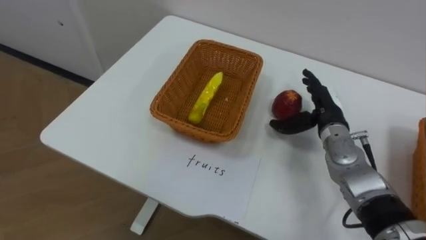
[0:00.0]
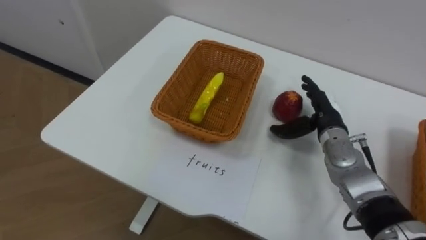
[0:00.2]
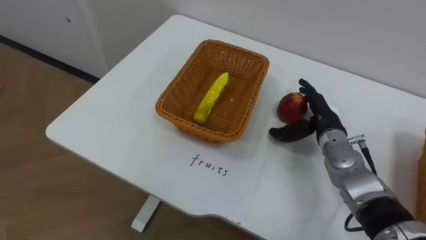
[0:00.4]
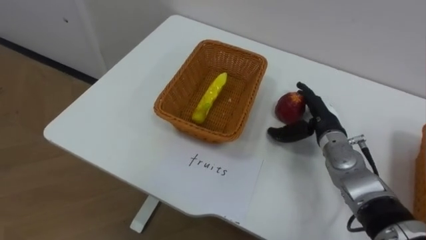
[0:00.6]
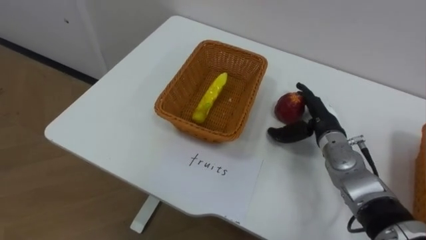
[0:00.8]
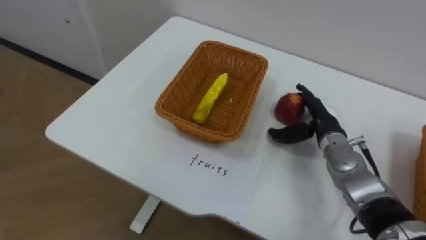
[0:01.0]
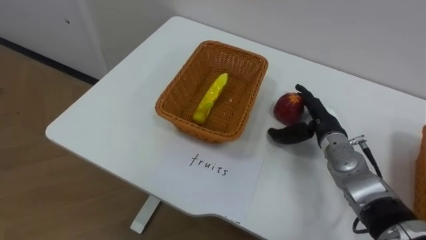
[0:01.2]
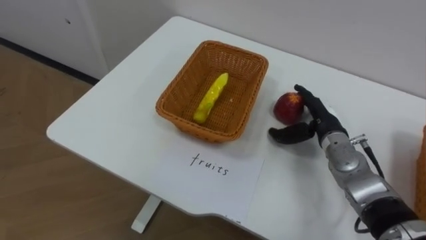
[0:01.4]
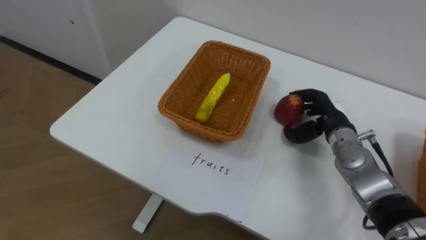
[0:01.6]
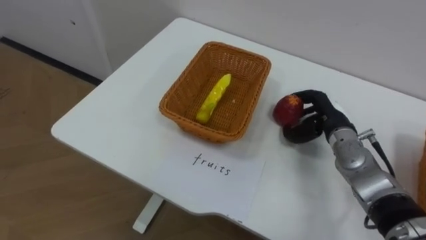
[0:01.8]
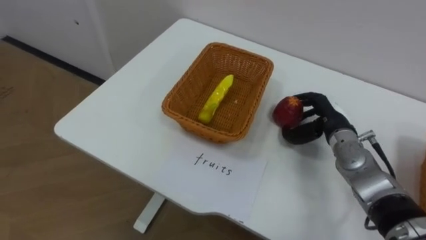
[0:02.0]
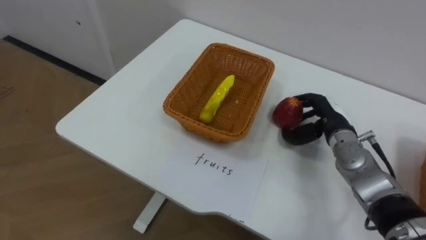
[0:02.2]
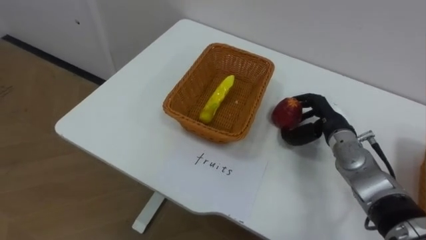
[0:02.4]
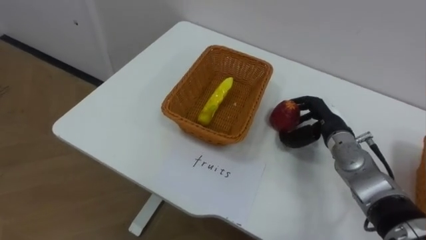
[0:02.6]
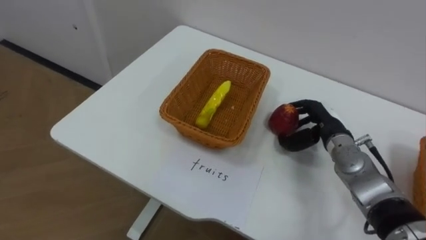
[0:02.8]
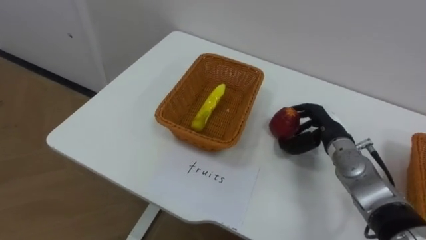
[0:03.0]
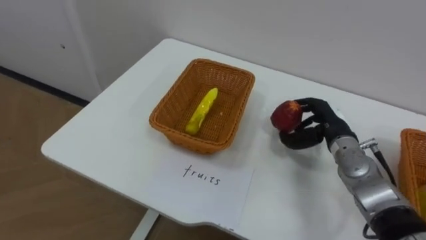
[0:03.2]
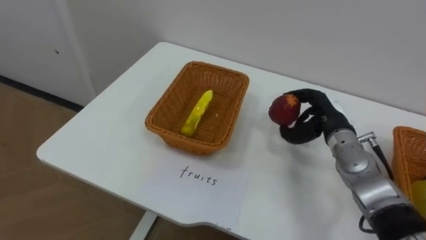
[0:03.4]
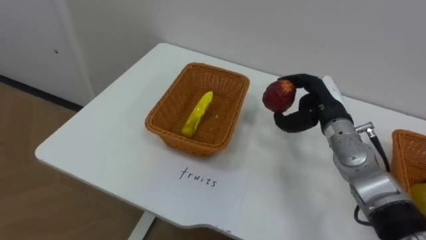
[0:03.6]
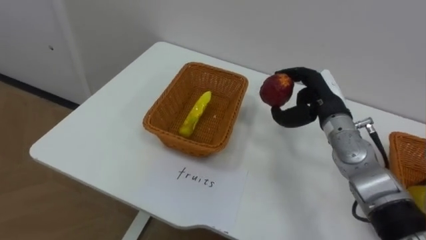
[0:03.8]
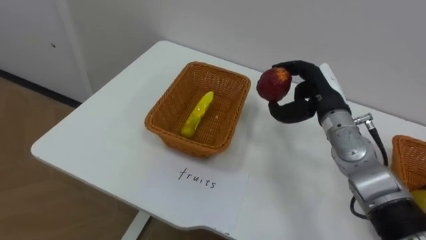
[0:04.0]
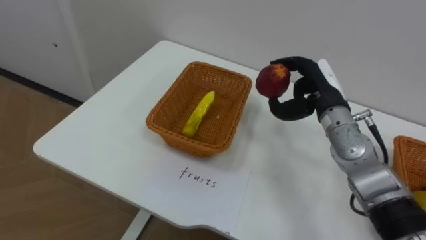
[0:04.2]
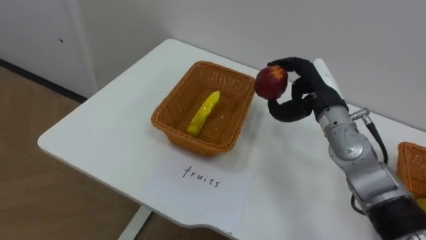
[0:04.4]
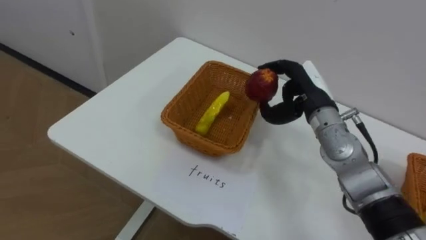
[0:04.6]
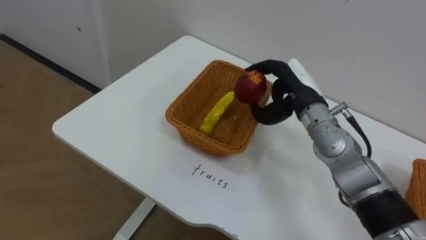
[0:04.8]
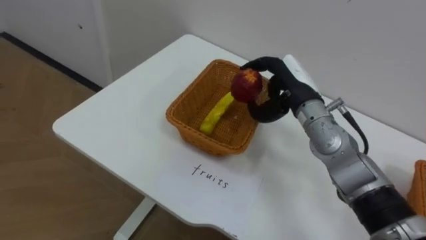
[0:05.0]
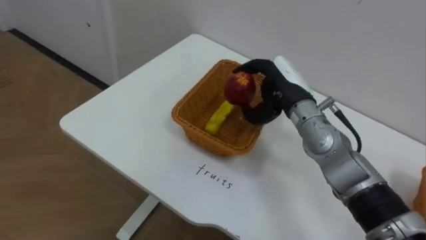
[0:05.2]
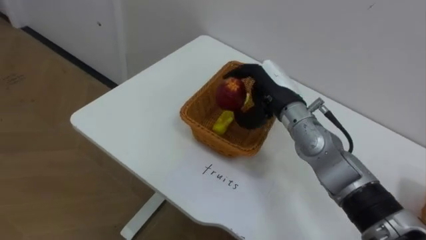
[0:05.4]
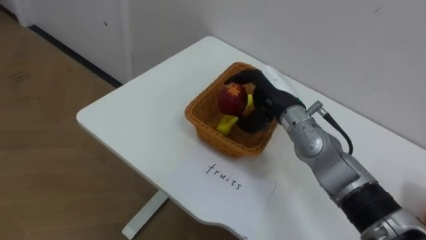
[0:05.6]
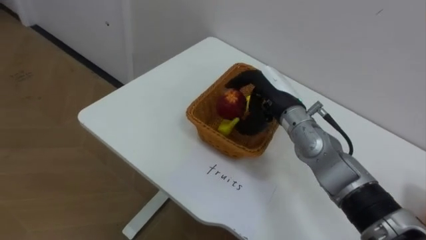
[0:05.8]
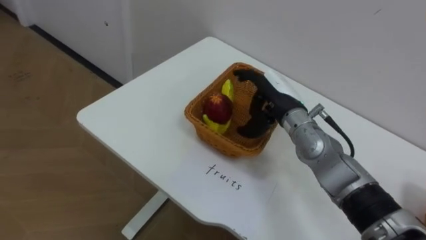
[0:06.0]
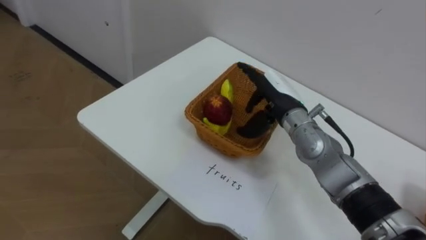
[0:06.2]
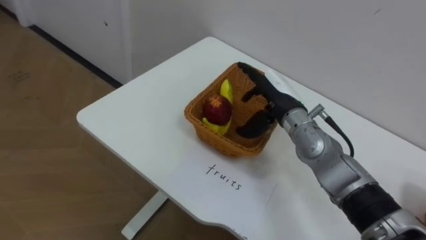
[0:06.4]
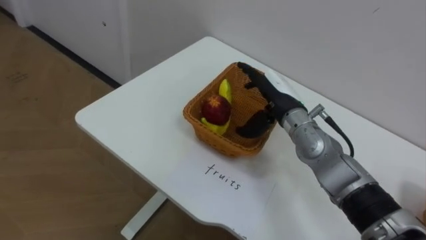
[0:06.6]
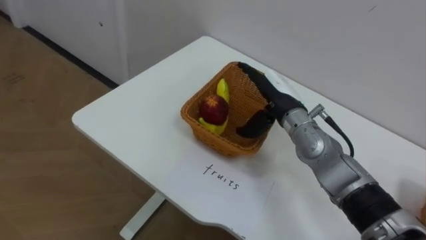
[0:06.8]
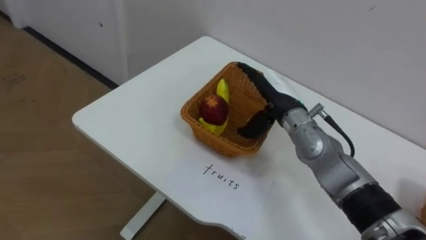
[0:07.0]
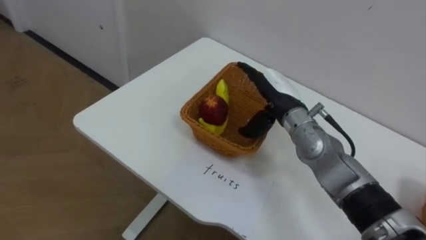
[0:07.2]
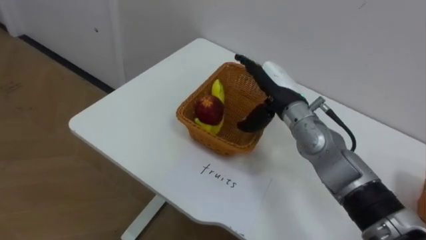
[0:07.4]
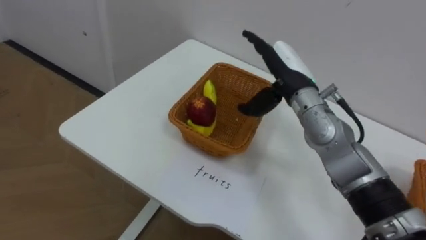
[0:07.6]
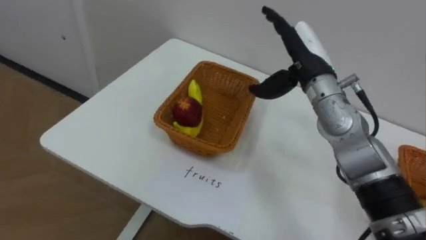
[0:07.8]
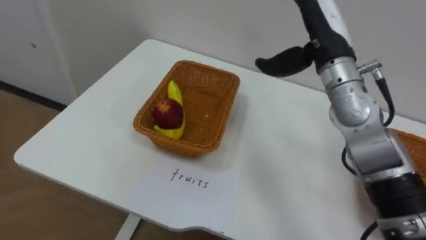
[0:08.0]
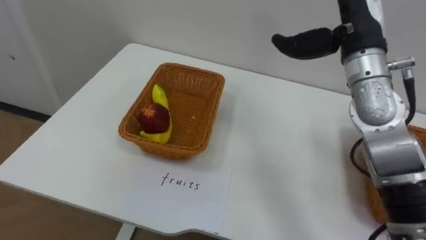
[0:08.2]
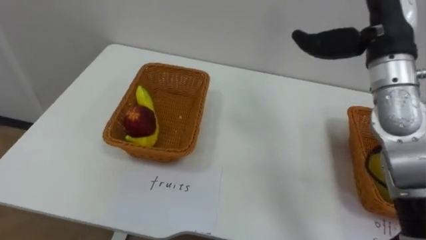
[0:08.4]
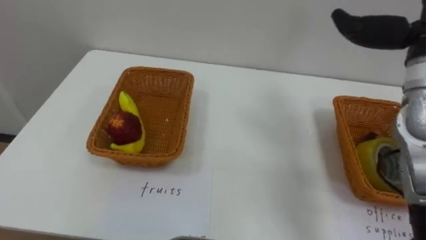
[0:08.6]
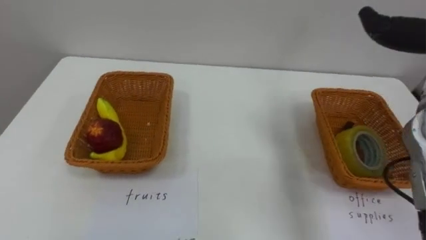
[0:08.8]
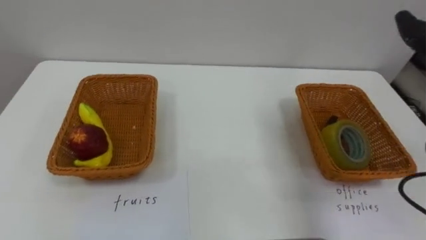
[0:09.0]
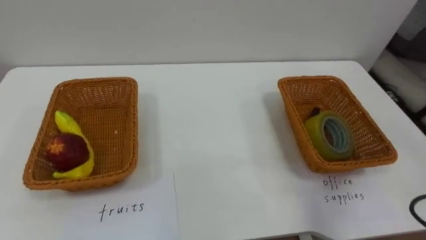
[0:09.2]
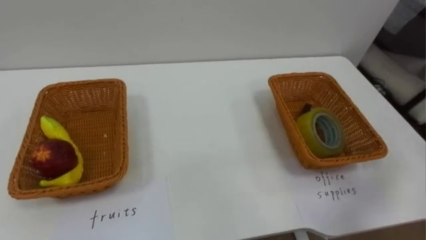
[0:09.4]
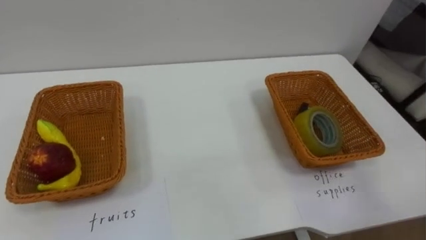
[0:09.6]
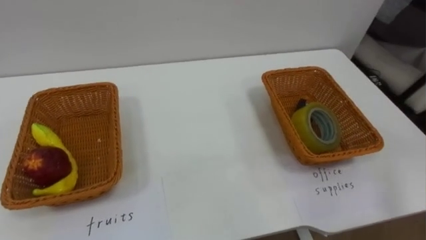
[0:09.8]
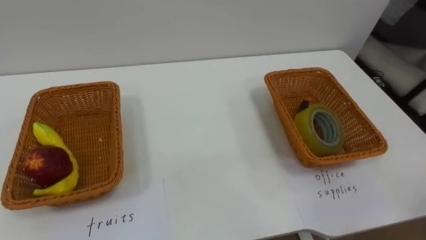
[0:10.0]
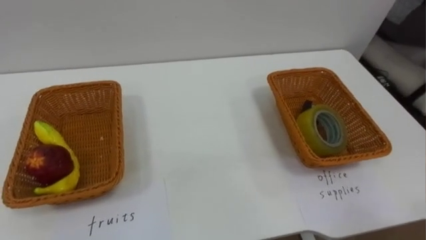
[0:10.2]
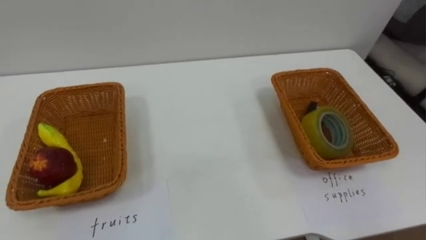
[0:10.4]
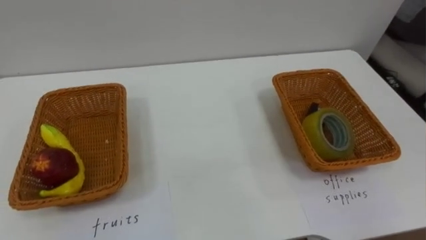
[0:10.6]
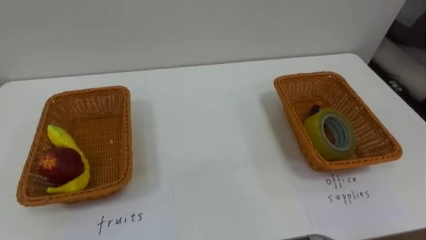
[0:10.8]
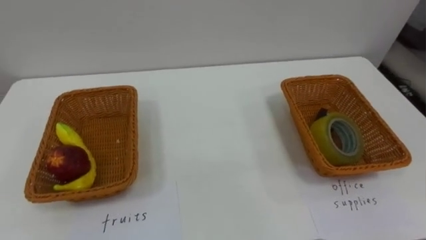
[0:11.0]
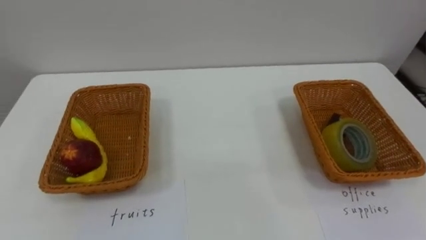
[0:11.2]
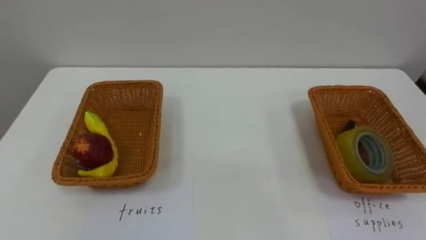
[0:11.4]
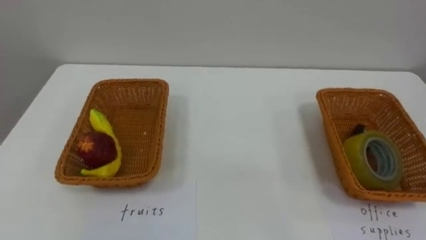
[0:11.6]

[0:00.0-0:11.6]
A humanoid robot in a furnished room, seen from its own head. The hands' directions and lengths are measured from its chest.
Task of the whole recording: Separate the items on the table and place them into the two baskets.
0:01.4 to 0:02.8: The right hand closes.
0:02.8 to 0:04.4: The right hand goes about 10 cm upward.
0:04.4 to 0:05.8: The right hand goes some 10 cm to the left.
0:05.8 to 0:07.2: The right hand opens.

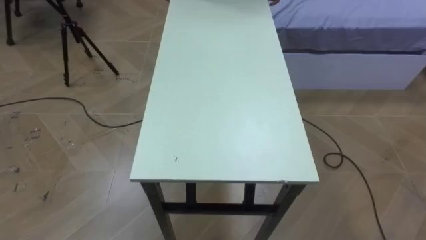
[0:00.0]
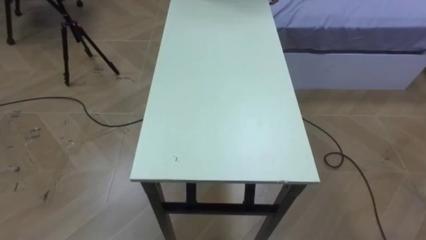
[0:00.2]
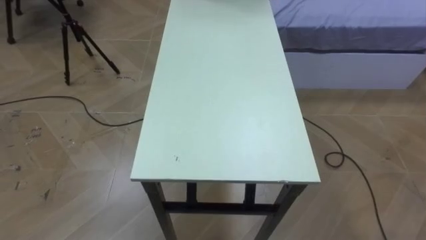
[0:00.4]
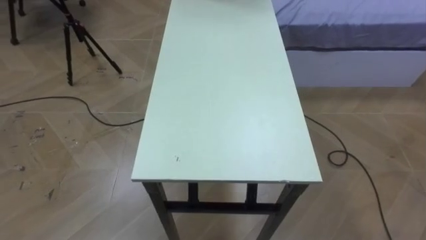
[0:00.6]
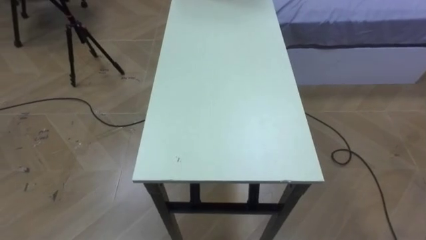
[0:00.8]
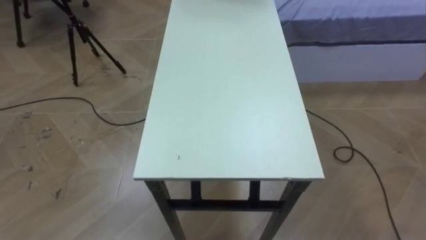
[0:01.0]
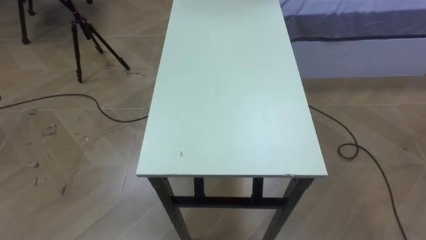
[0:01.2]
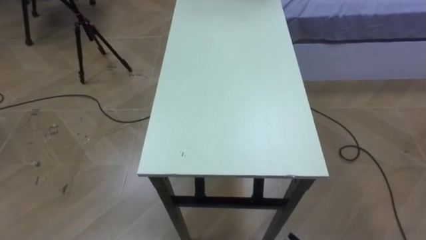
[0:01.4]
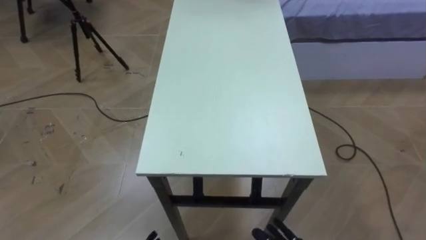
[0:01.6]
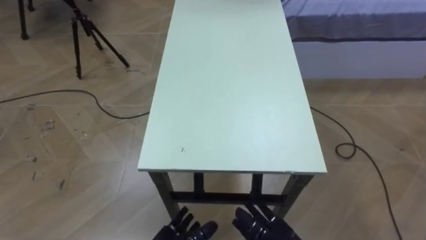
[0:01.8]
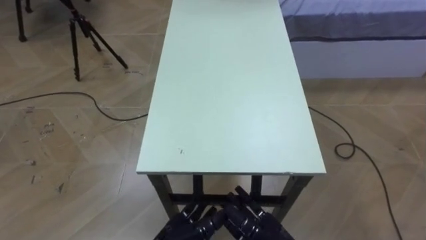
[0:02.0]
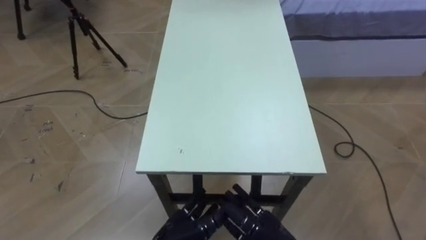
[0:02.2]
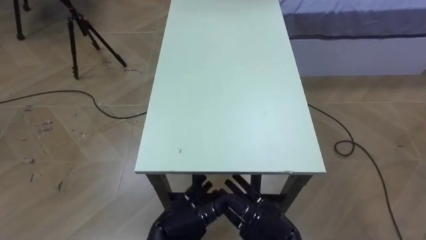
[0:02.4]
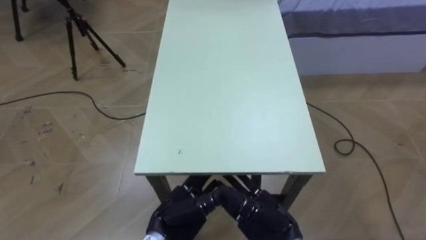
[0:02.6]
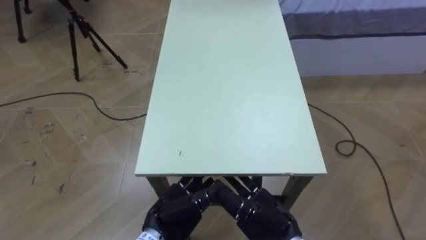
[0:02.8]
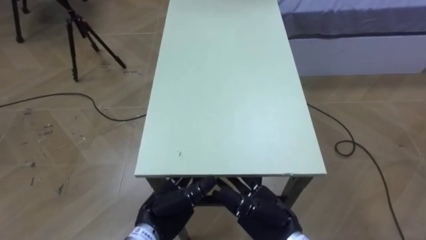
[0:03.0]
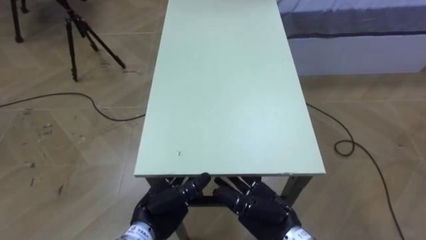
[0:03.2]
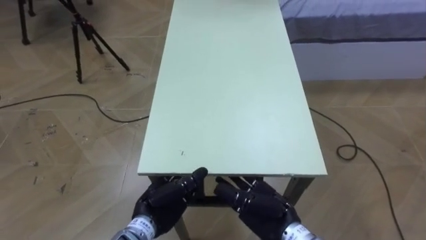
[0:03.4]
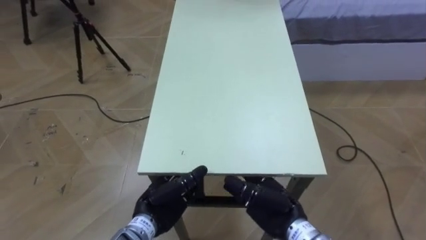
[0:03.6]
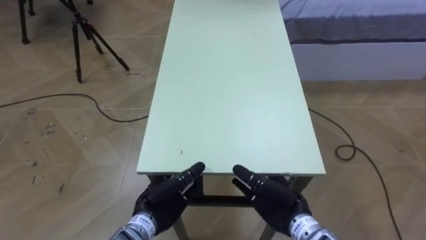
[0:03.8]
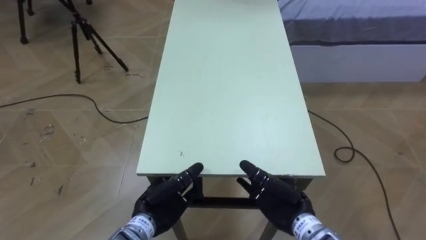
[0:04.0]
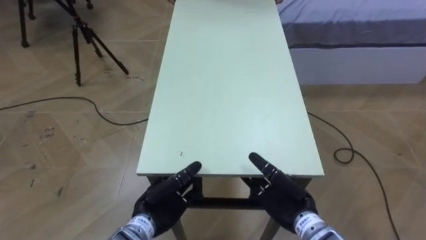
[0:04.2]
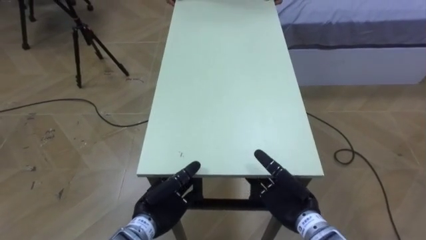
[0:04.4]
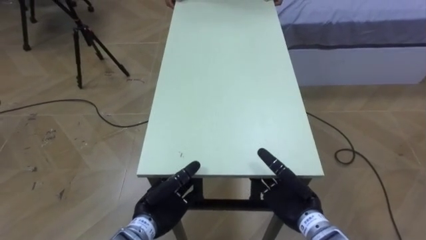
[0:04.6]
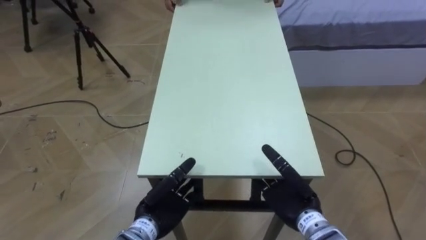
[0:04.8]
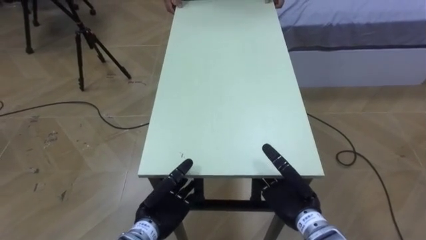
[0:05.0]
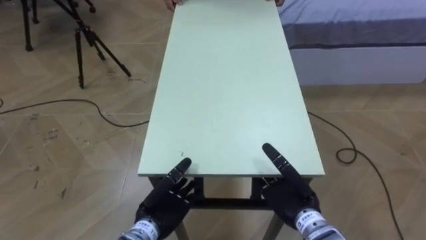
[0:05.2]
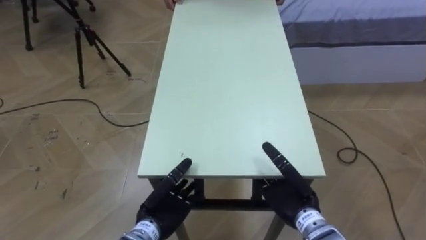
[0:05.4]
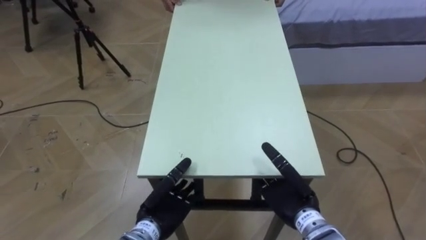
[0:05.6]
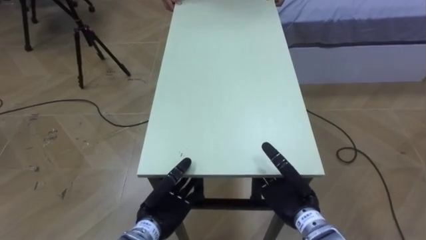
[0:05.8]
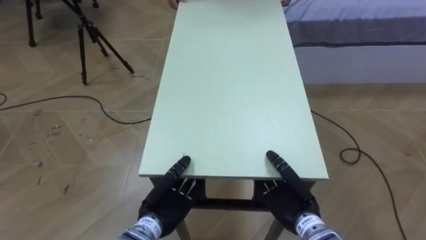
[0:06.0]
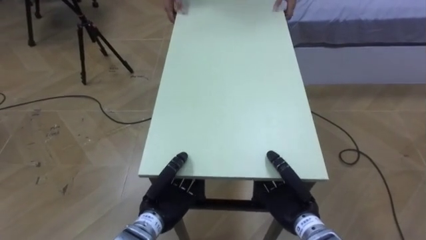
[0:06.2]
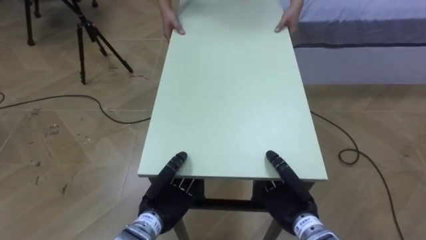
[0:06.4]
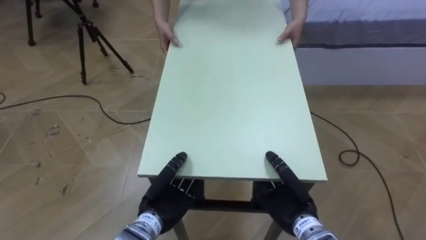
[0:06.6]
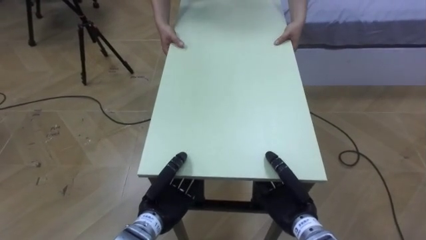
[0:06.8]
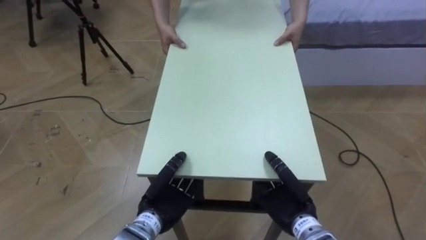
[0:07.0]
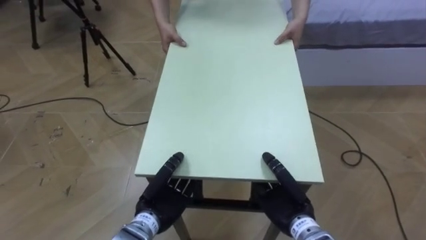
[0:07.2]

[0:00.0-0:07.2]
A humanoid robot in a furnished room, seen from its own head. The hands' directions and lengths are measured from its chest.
Task of the whole recording: Move the table to the back left with someone.
0:02.8 to 0:04.4: The right hand is displaced to the right by about 5 cm.
0:04.4 to 0:05.8: There are only small adjustments of the hands.
0:05.8 to 0:07.2: The right hand closes its fingers. The left hand closes.
